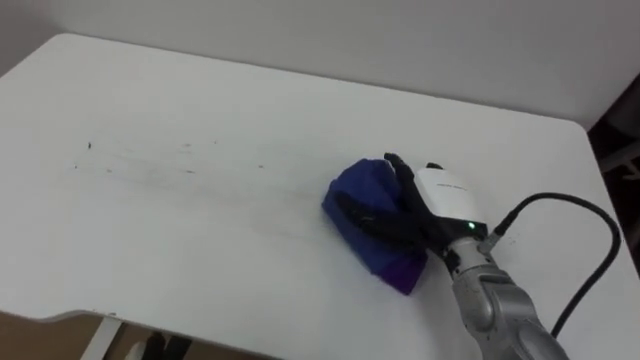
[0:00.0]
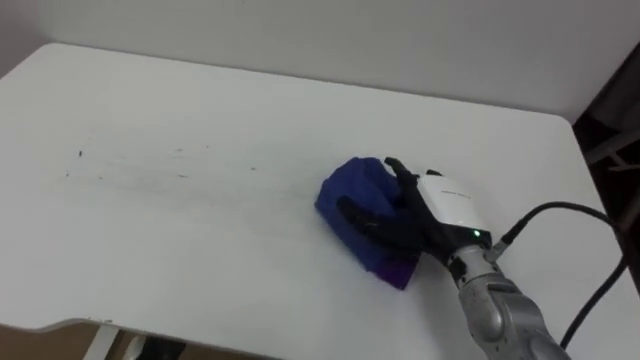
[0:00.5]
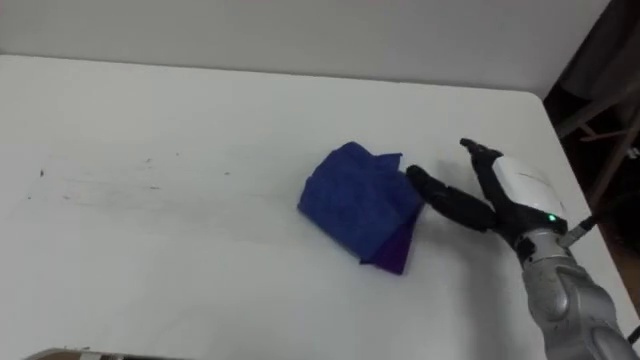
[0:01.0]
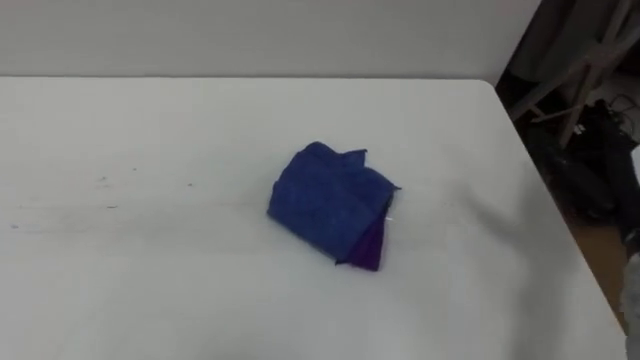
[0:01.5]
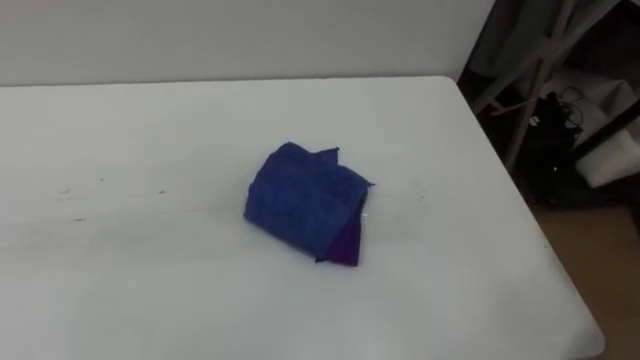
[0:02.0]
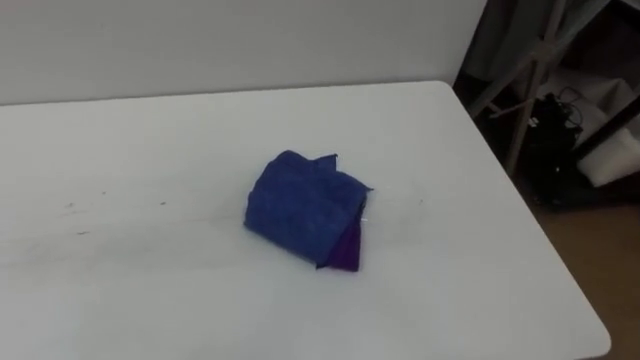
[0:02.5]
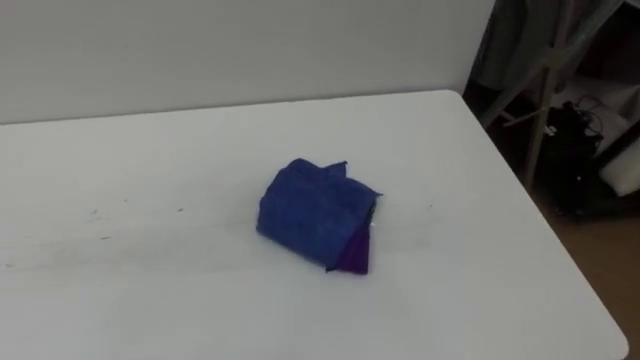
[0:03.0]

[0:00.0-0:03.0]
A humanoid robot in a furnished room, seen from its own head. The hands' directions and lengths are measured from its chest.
Task of the whole recording: Wipe the blue pen marks off the table with the rag.
0:00.0 to 0:01.5: The right hand shifts approximately 20 cm to the right.

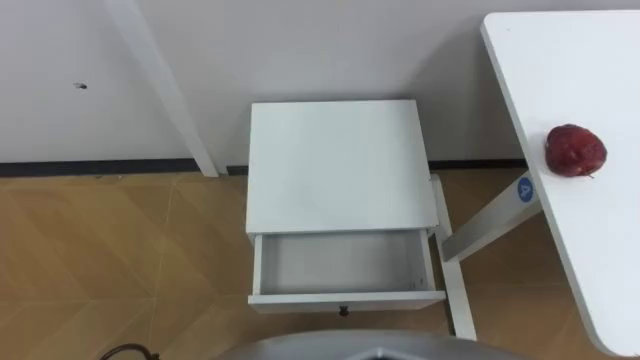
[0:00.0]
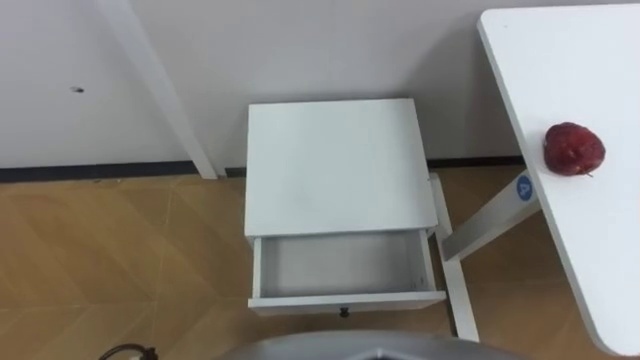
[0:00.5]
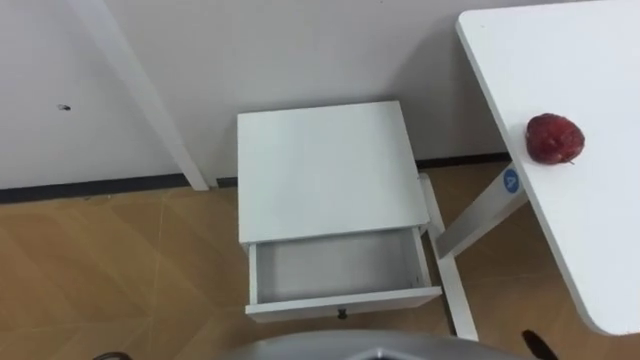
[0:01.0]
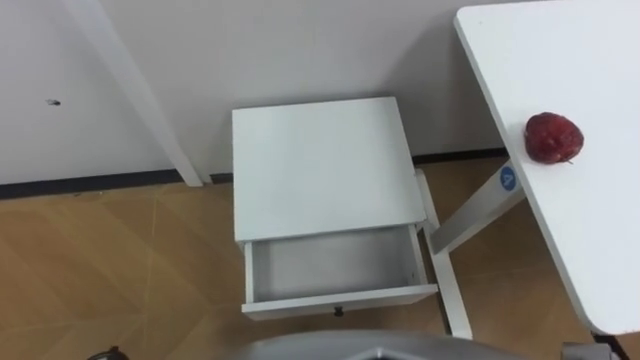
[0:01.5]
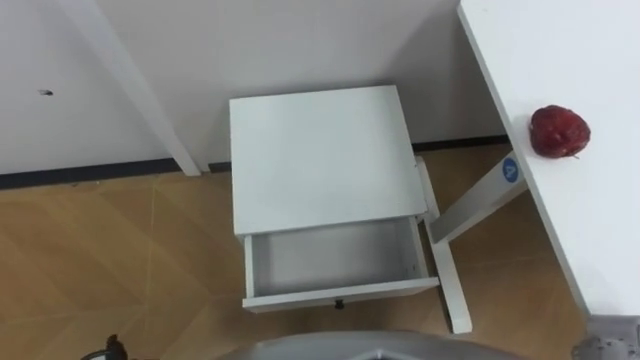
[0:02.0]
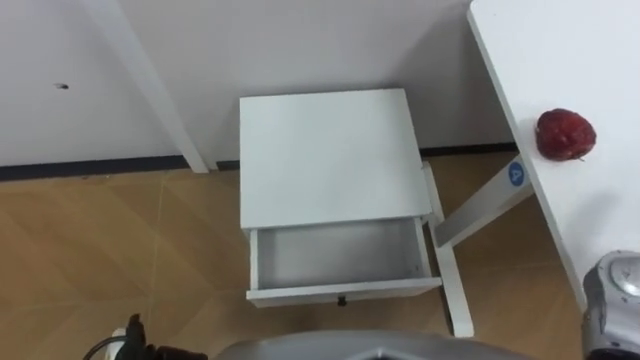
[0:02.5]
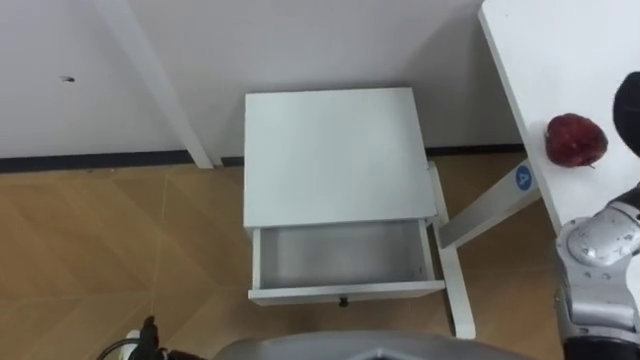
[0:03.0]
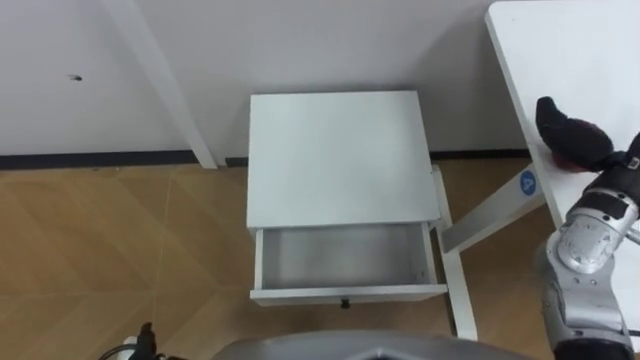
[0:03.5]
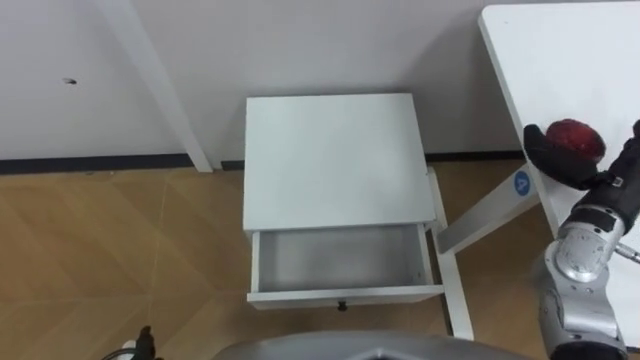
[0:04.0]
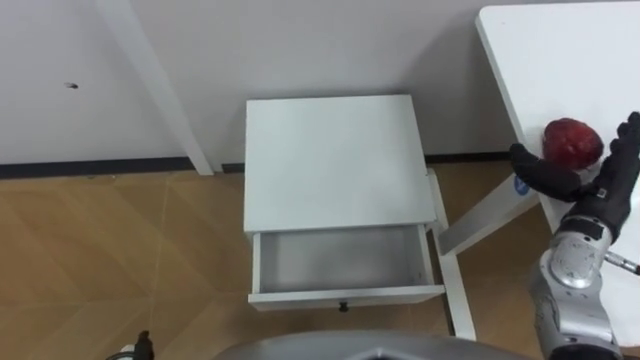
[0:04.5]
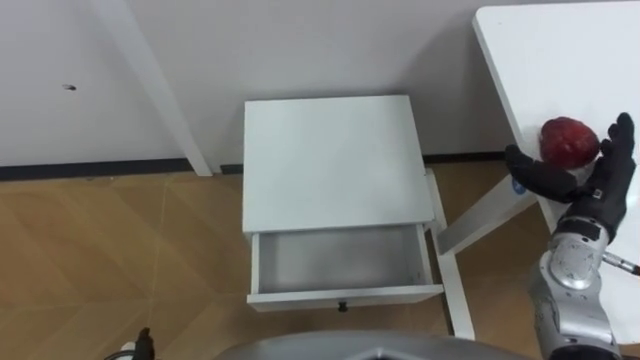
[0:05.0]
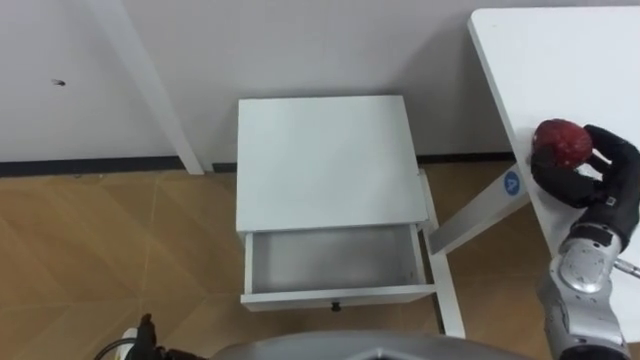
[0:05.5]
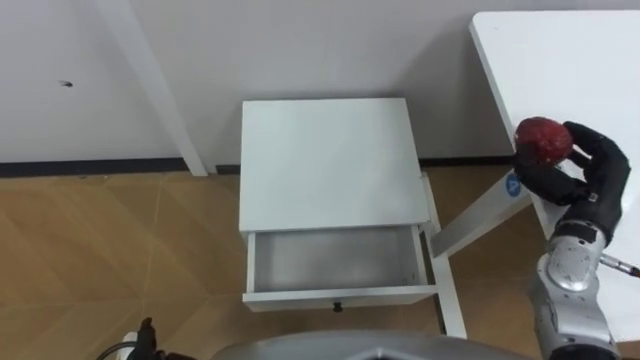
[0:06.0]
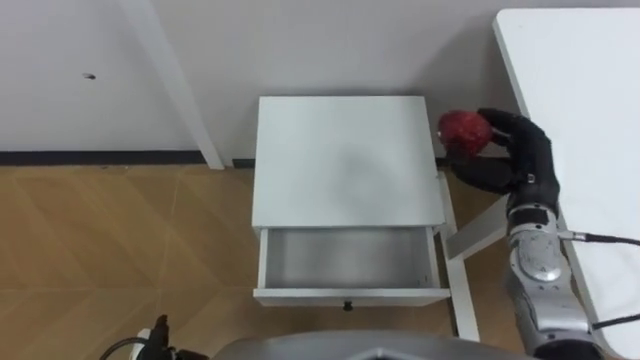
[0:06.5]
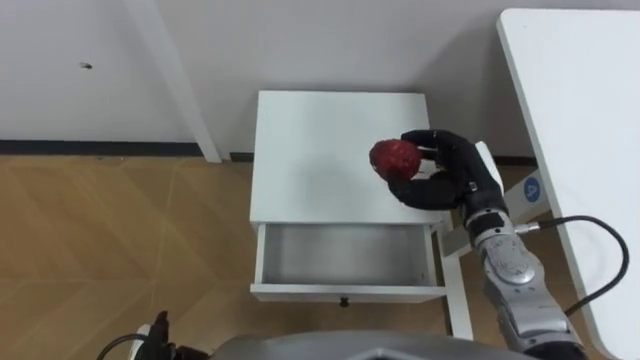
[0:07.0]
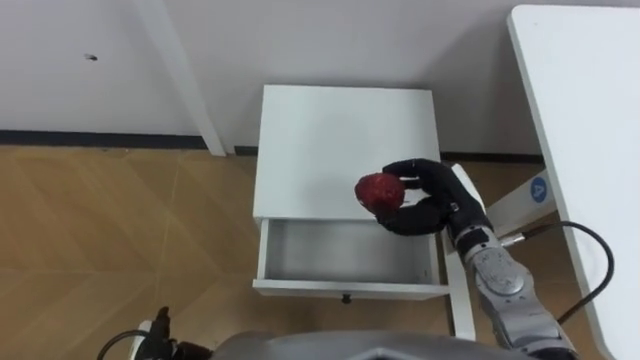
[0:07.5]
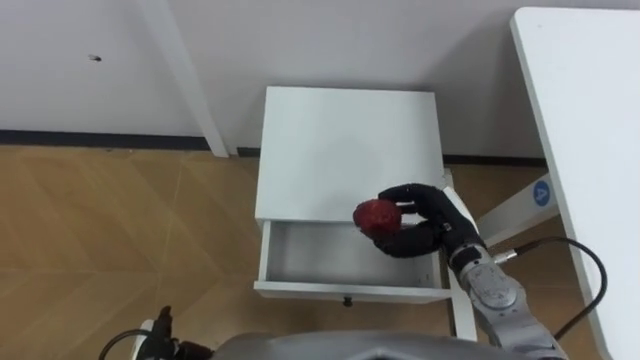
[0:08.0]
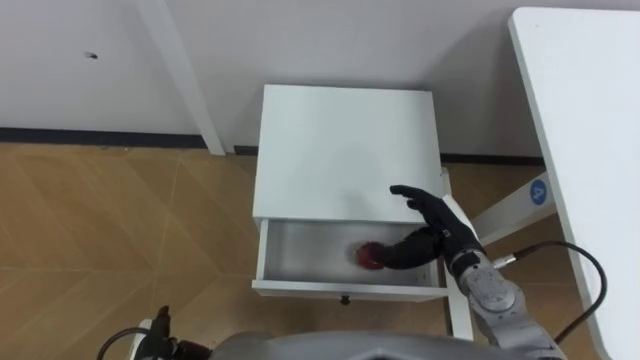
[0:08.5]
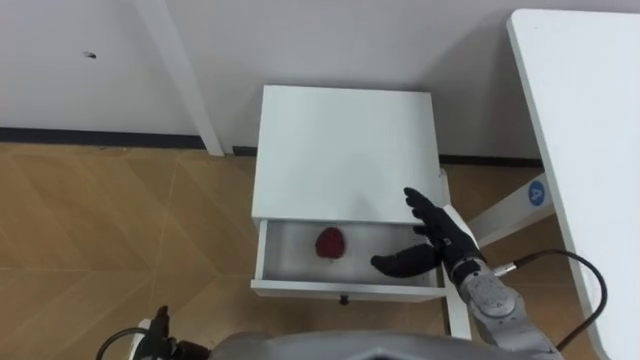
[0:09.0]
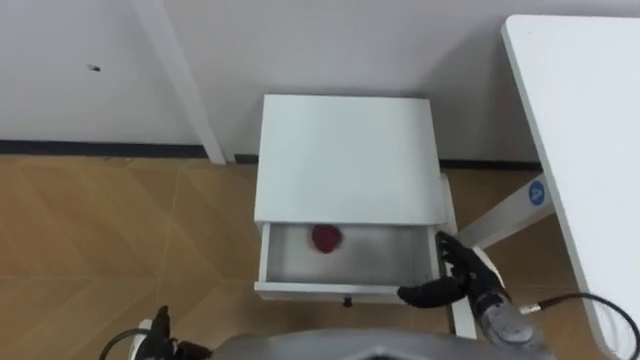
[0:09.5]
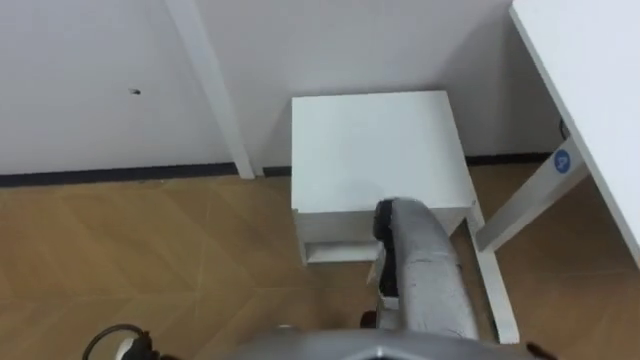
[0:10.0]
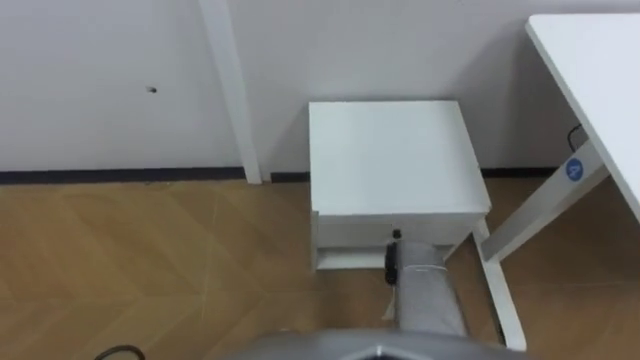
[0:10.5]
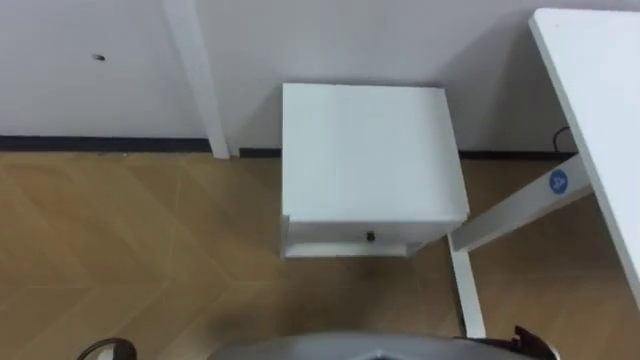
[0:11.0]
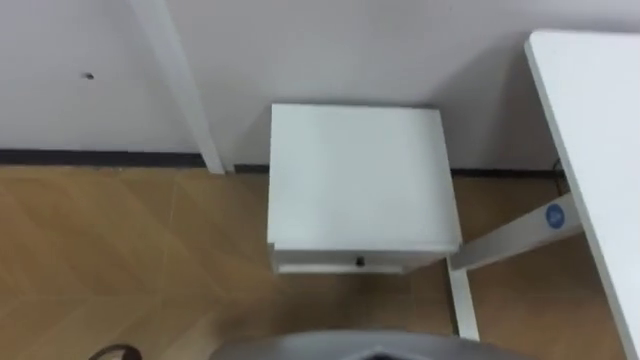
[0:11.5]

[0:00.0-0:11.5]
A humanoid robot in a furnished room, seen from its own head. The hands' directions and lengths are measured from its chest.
Task of the whole recording: Pick up the apple from the table, put it in the drawer, and close the drawer with leg.
0:04.0 to 0:06.0: The right hand closes.
0:06.0 to 0:07.5: The right hand is displaced to the left by about 15 cm.
0:07.5 to 0:09.5: The right hand shifts some 15 cm downward and backward, and opens up.

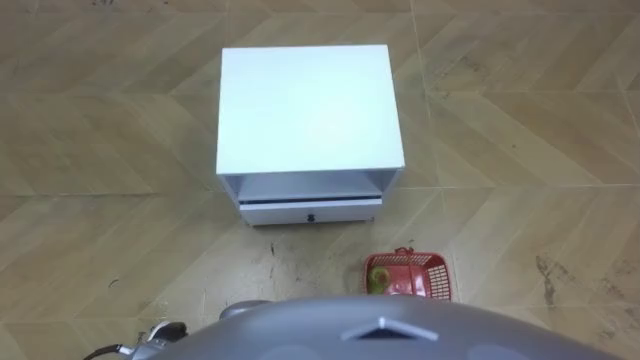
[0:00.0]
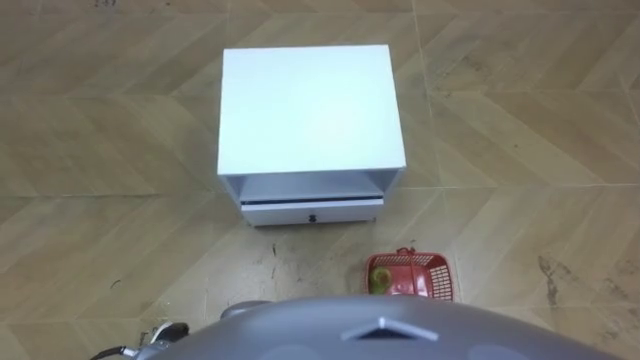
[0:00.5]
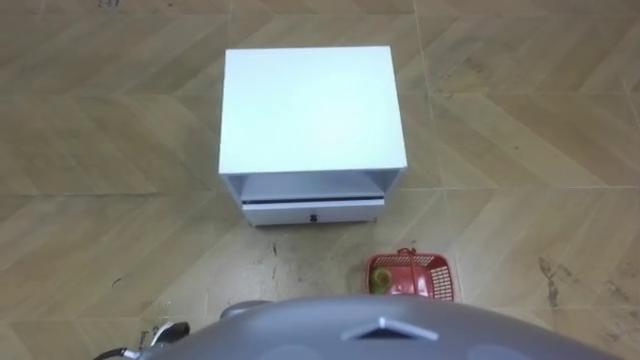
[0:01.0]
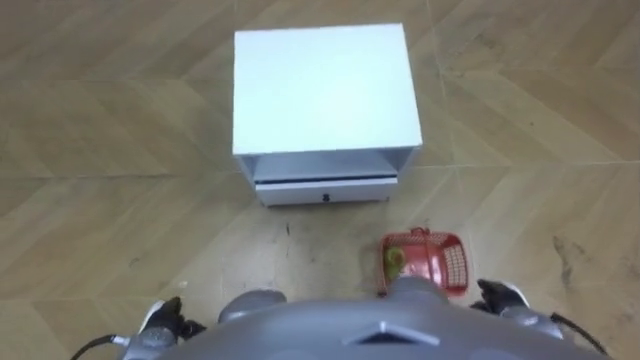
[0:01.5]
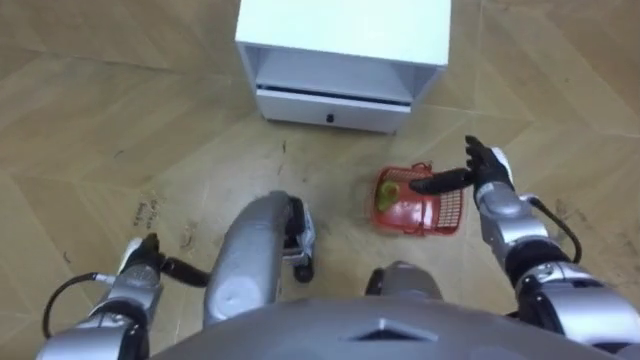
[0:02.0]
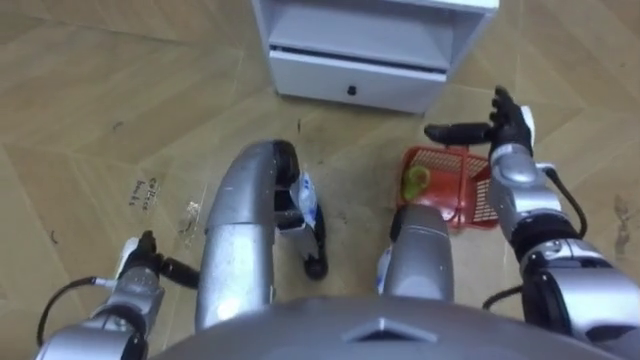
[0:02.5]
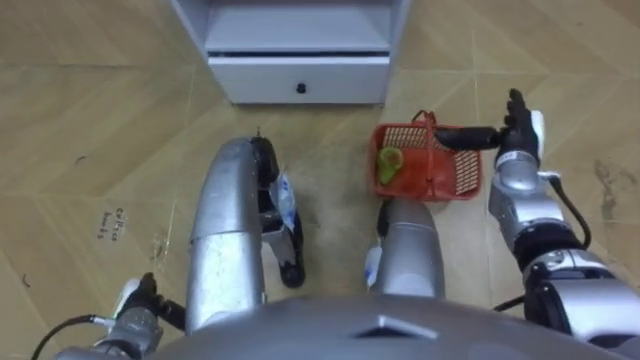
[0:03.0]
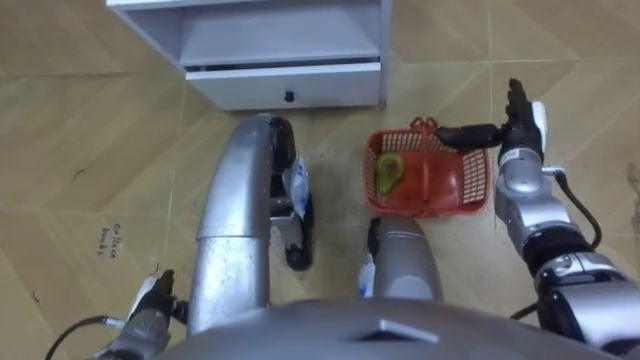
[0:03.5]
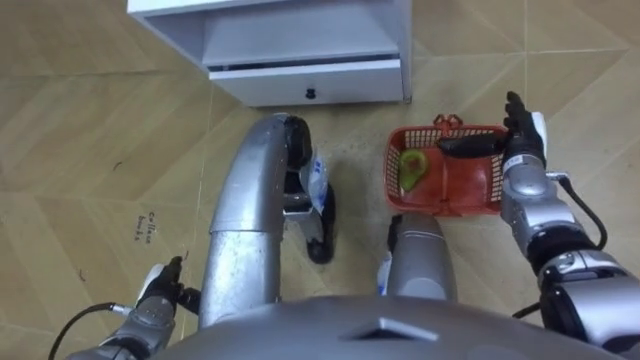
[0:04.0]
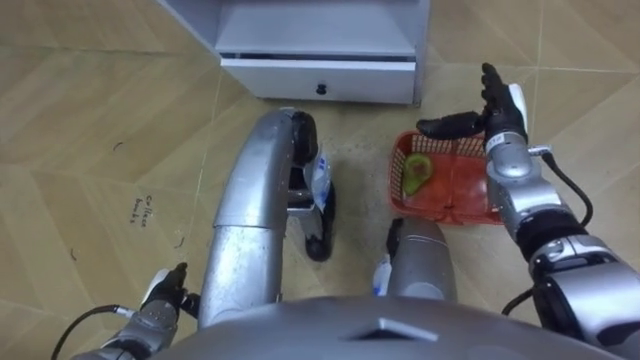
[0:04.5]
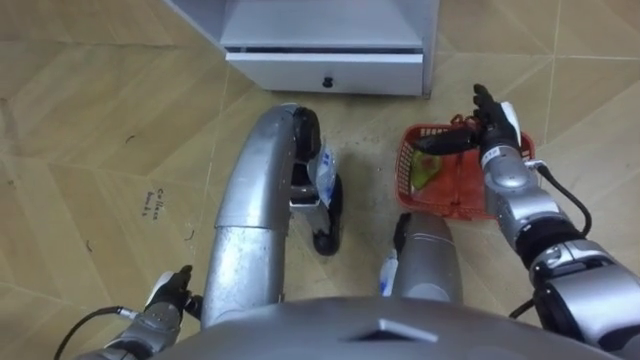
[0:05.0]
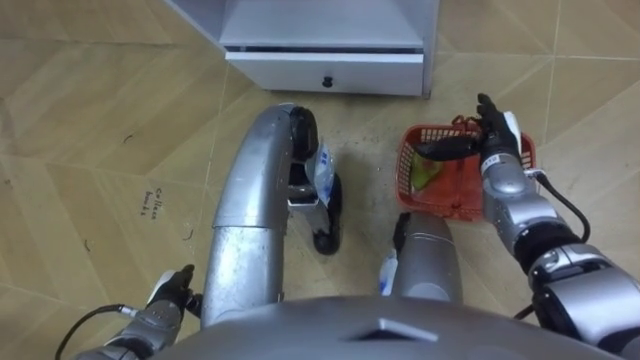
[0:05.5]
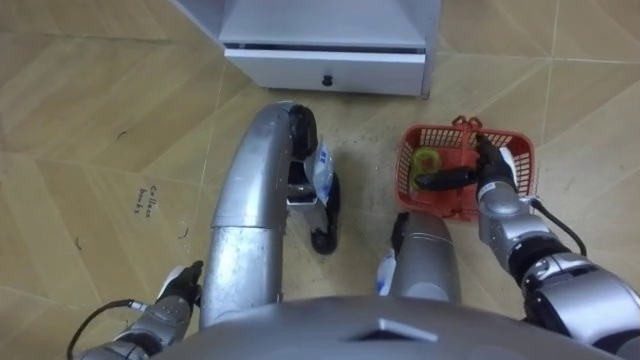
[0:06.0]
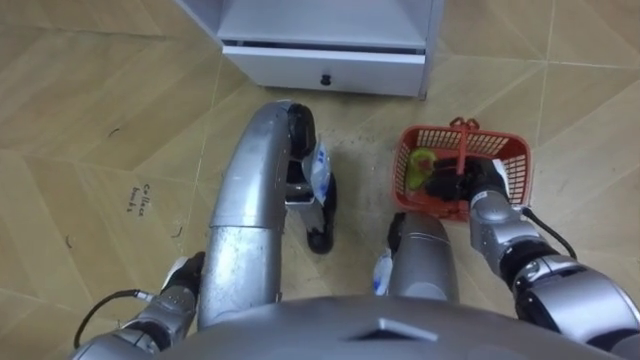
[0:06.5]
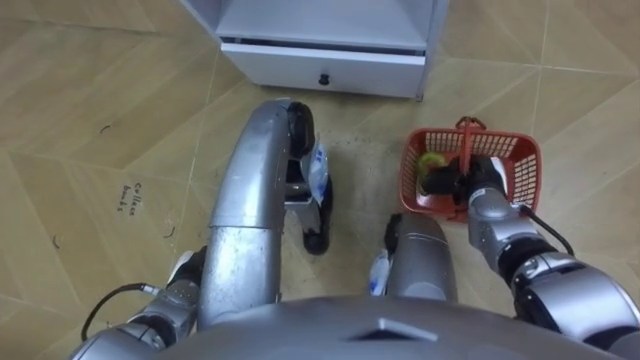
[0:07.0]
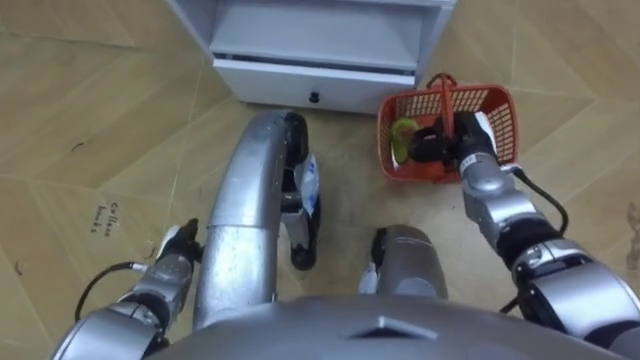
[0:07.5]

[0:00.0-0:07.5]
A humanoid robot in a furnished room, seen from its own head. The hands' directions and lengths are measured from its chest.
Task of the whole recording: Pick up the fruit basket from the floor and place it on the cabinet.
0:02.0 to 0:04.0: The right hand moves about 5 cm.
0:05.5 to 0:07.5: The left hand travels forward by some 5 cm, while the right hand closes its fingers.
